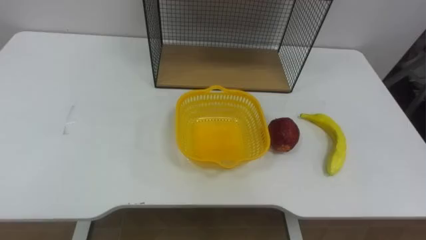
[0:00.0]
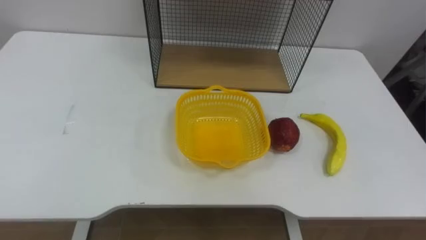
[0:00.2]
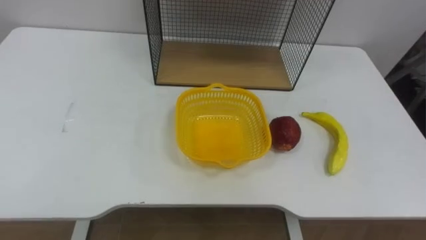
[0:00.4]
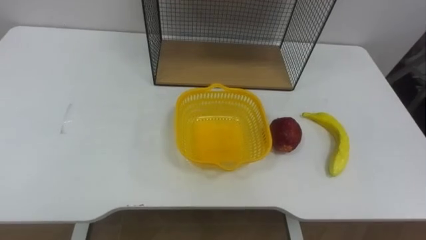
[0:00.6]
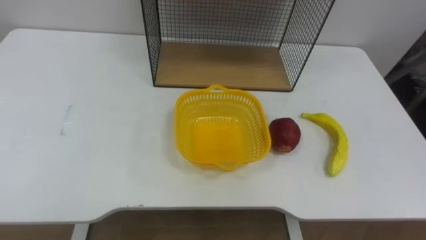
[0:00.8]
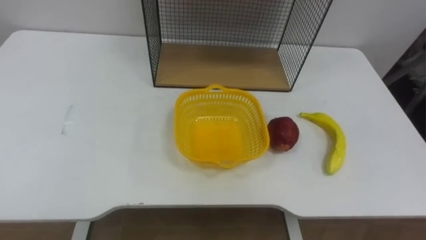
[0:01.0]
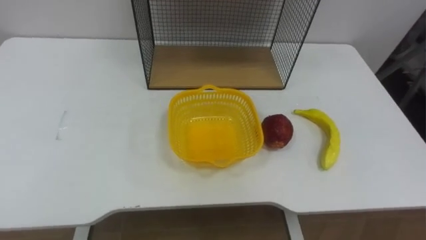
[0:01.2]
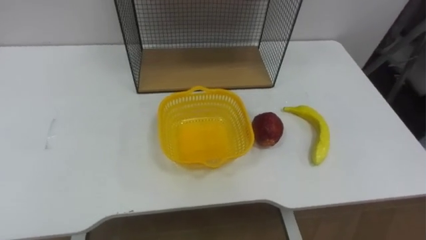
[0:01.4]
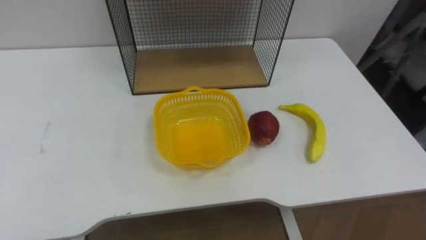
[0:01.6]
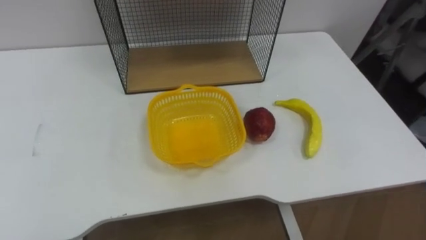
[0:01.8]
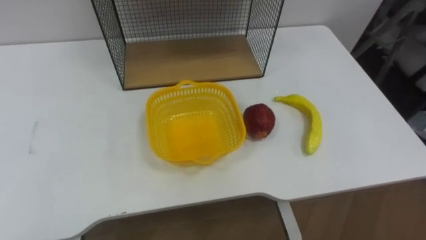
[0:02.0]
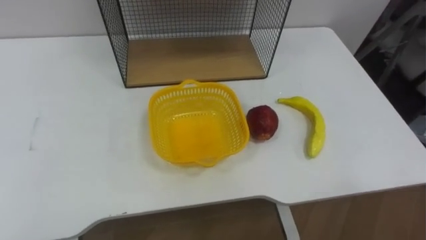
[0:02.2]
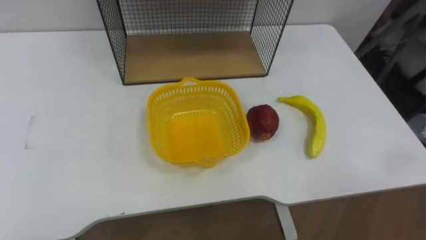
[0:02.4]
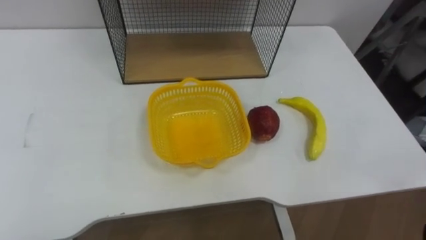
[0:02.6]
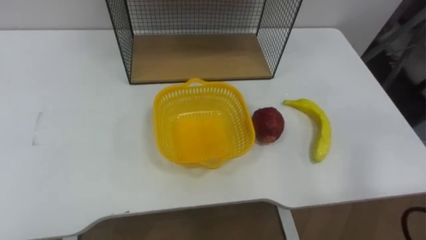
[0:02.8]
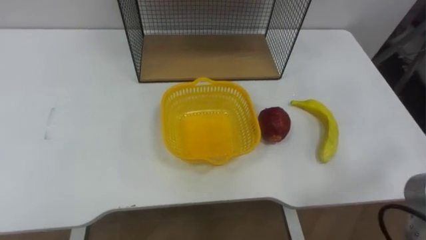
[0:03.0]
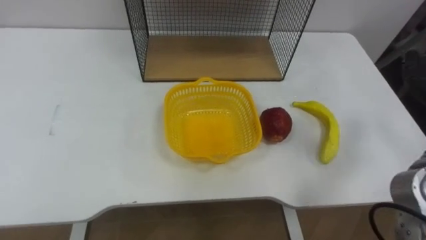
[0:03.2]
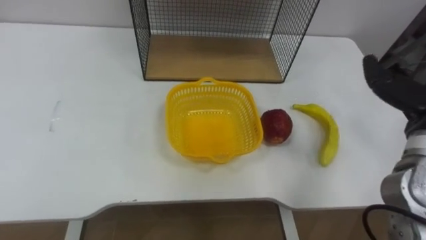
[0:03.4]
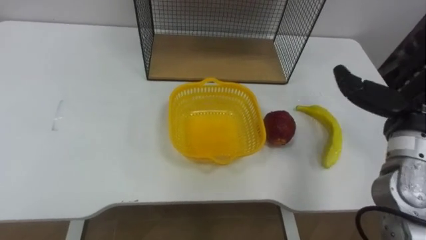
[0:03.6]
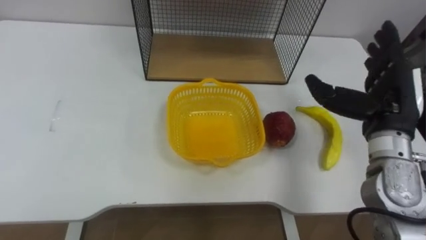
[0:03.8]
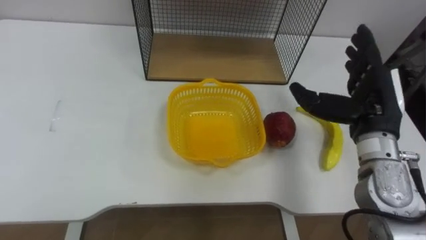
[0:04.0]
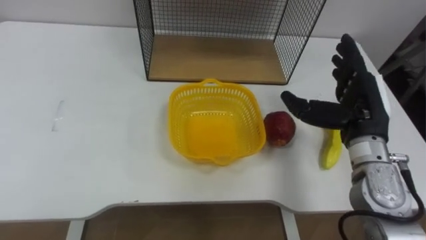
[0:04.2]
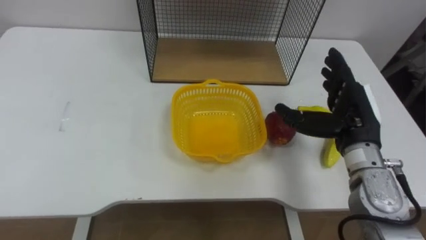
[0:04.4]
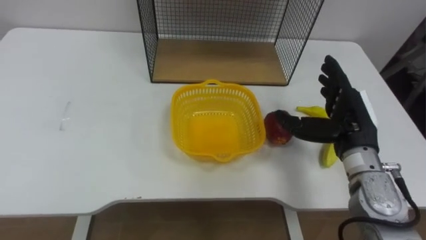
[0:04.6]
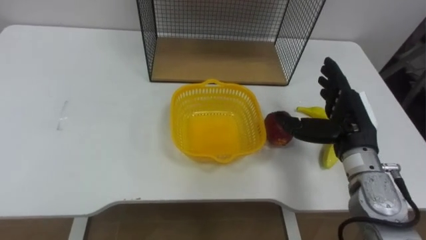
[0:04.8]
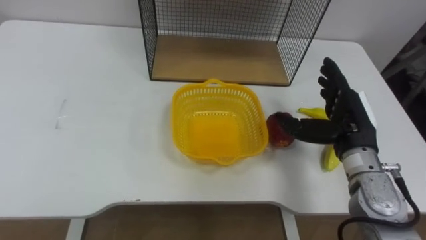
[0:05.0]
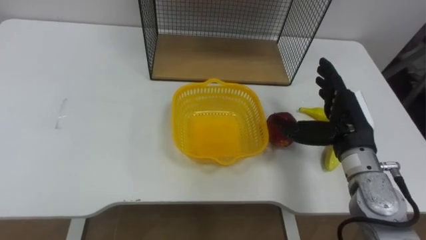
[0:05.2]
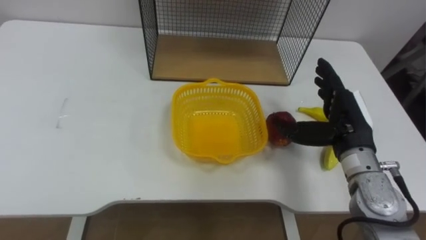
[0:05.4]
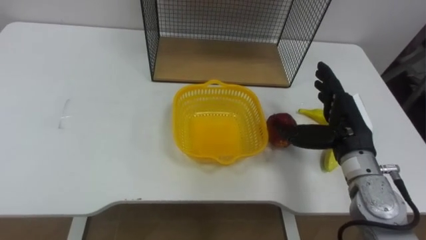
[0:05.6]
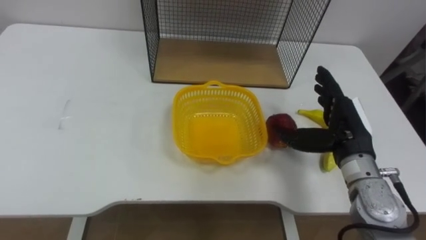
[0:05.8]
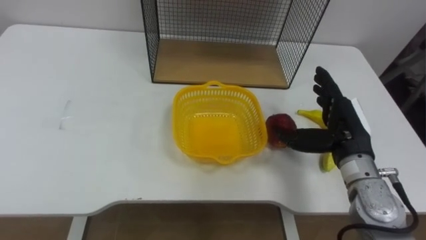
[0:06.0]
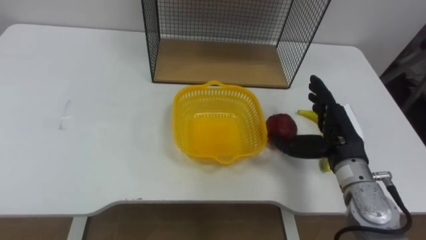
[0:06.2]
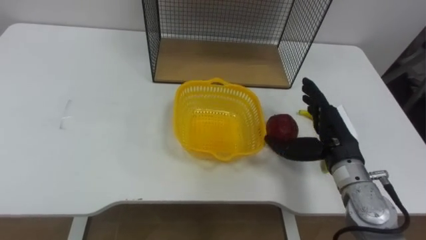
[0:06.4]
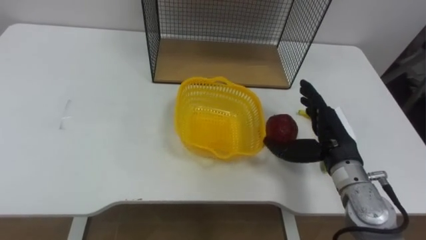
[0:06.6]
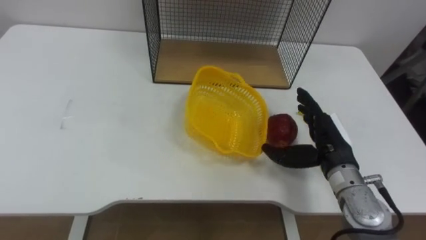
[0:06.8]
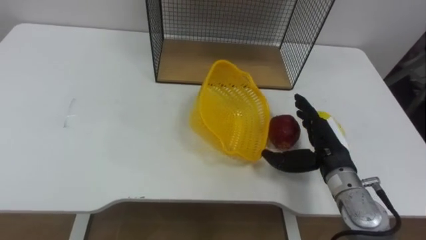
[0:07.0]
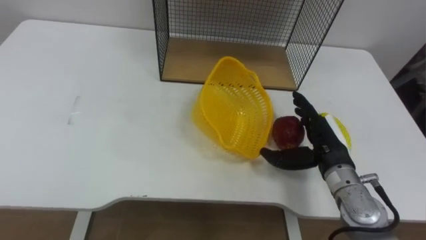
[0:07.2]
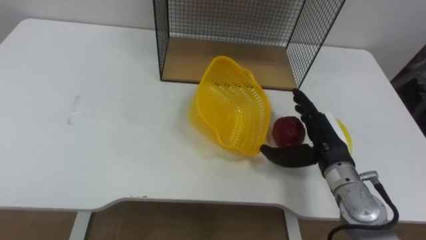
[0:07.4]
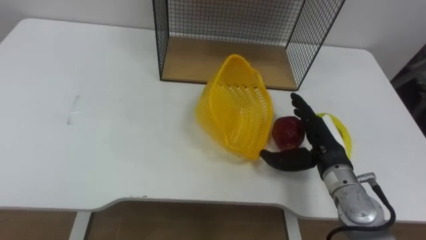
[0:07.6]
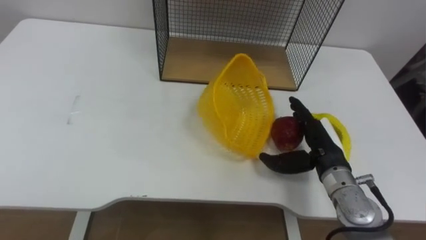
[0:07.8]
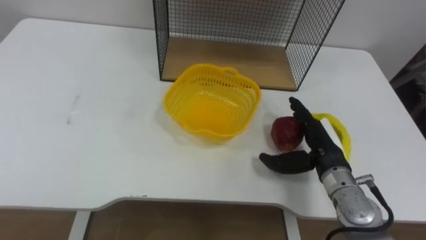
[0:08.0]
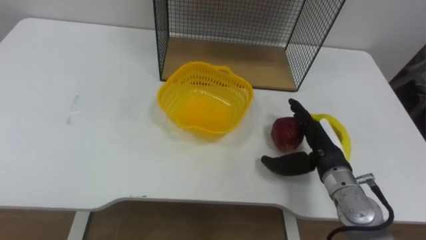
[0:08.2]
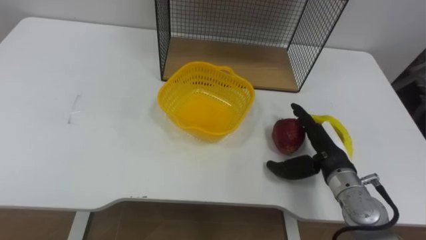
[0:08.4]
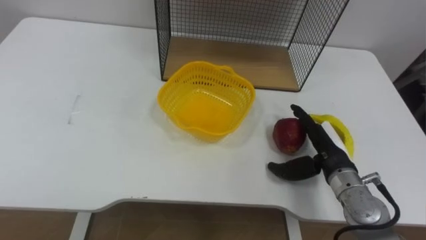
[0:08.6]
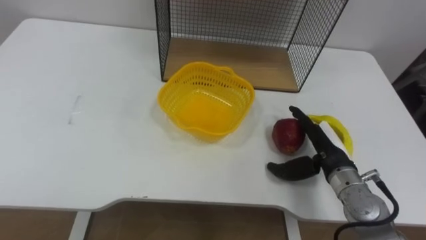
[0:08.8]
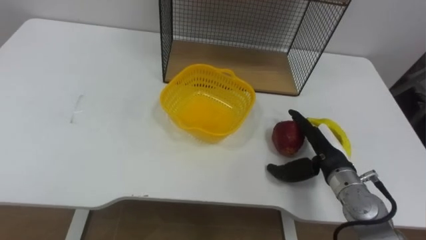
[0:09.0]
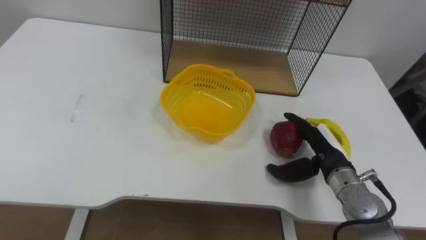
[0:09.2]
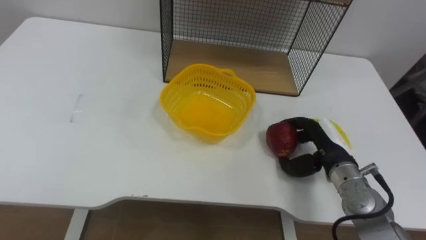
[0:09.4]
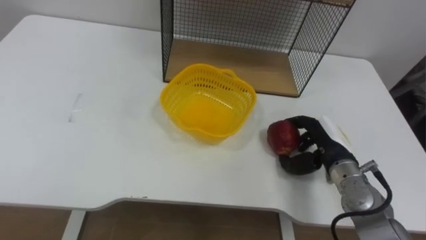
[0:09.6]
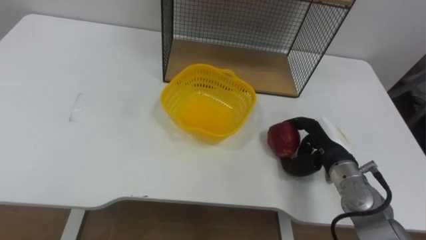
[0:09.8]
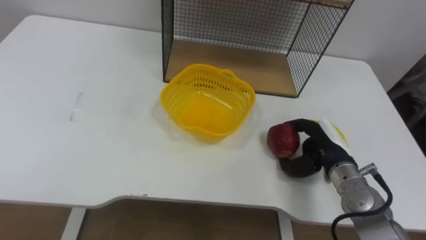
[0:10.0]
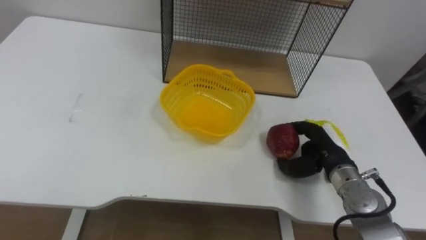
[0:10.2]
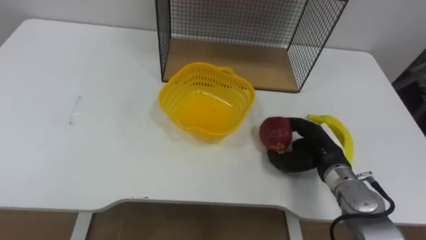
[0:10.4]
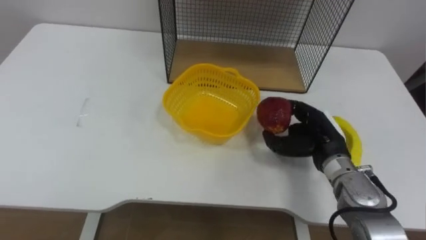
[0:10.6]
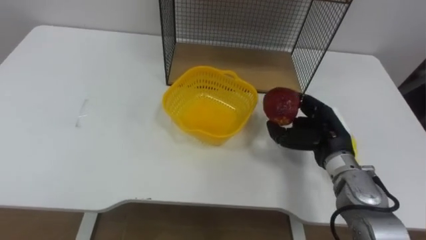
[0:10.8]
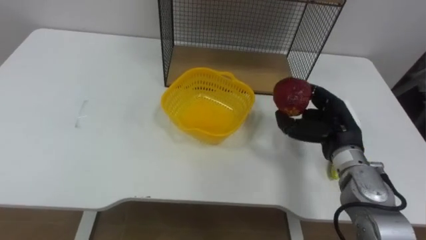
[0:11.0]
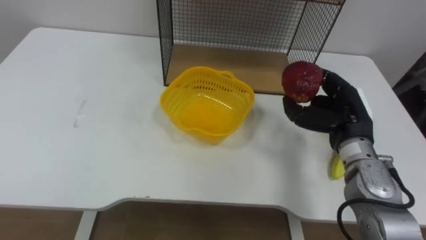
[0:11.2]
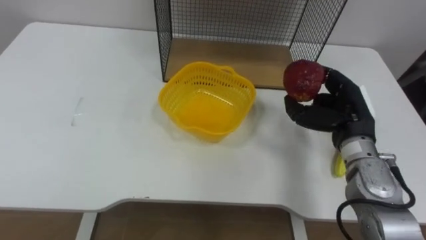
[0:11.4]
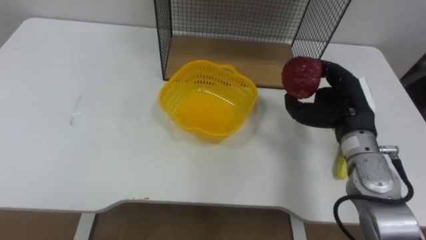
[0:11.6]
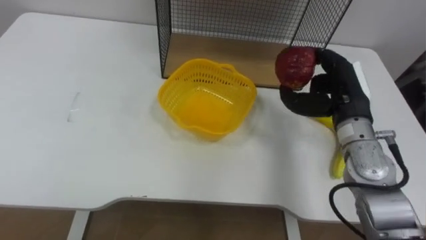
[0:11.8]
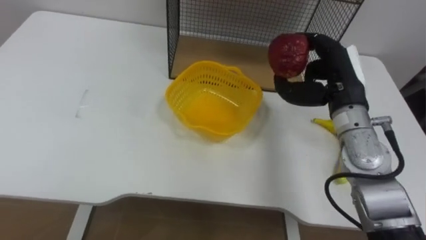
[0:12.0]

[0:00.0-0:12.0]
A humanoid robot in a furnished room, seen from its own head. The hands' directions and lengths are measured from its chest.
Task of the whole recording: Put the fruit on the table into the basket, then place the basket on the shelf.
0:09.0 to 0:10.4: The right hand closes its fingers.
0:10.4 to 0:12.0: The right hand goes approximately 15 cm upward.

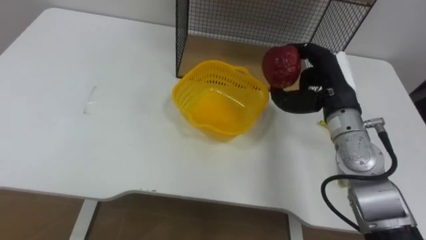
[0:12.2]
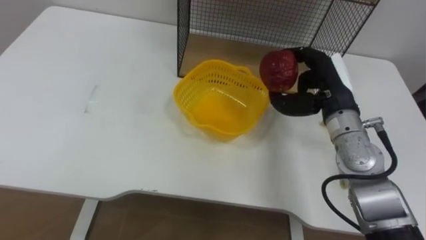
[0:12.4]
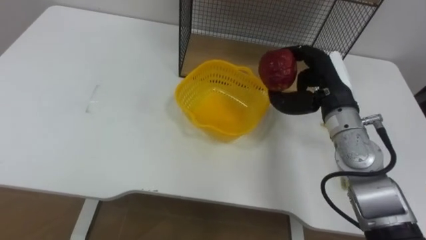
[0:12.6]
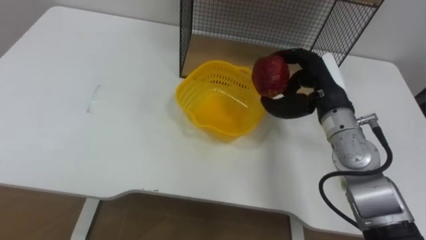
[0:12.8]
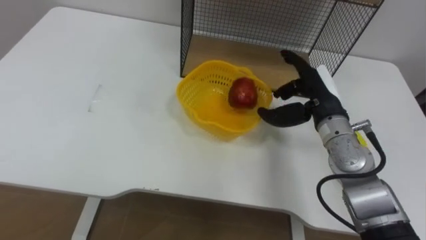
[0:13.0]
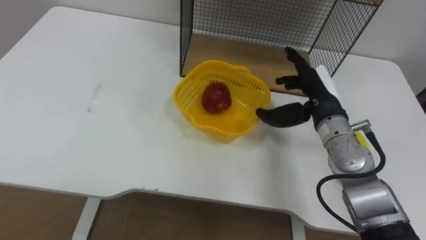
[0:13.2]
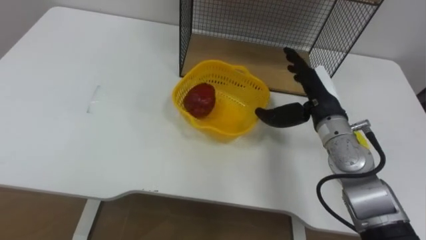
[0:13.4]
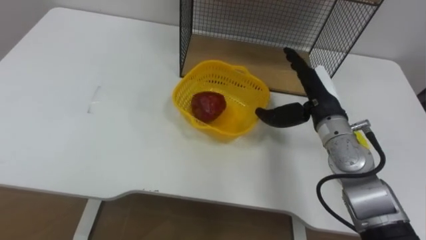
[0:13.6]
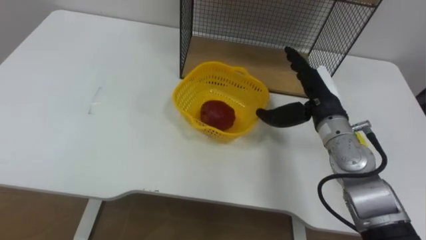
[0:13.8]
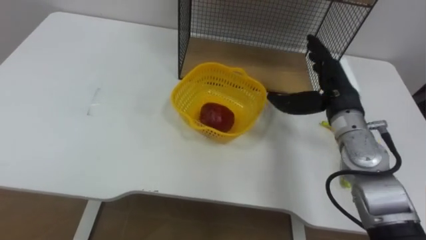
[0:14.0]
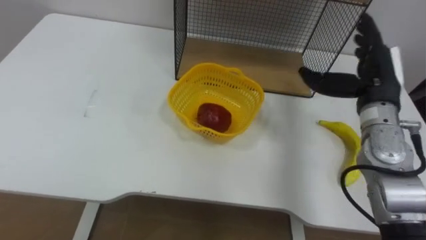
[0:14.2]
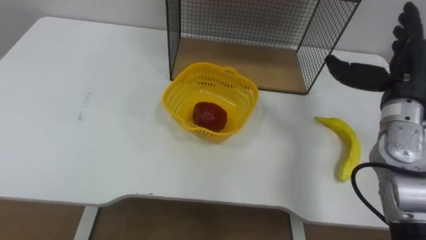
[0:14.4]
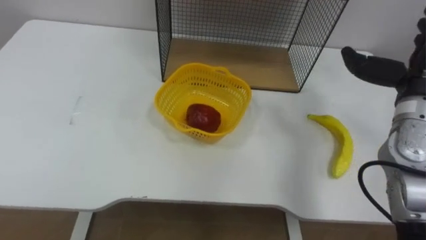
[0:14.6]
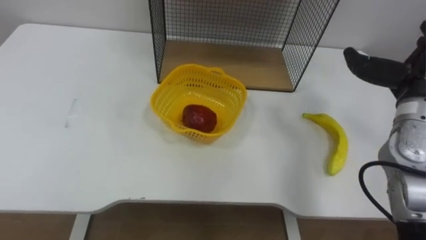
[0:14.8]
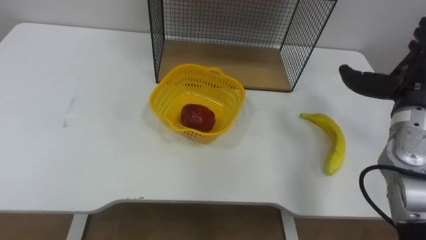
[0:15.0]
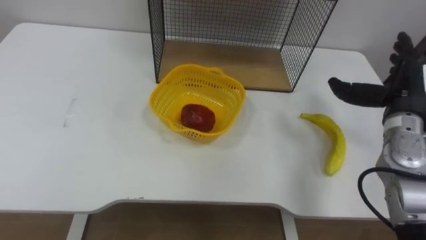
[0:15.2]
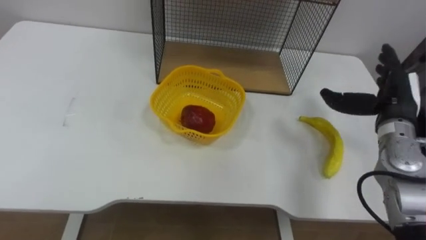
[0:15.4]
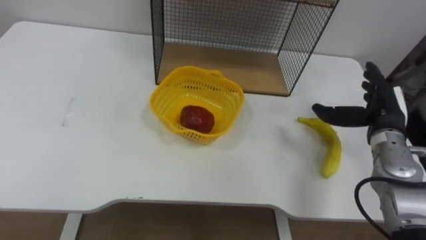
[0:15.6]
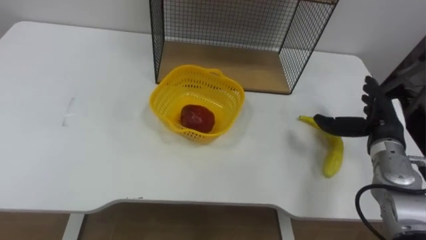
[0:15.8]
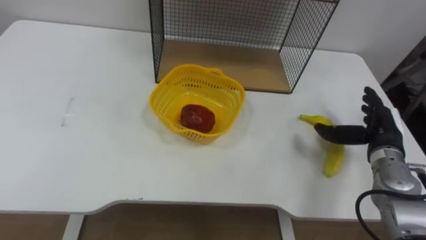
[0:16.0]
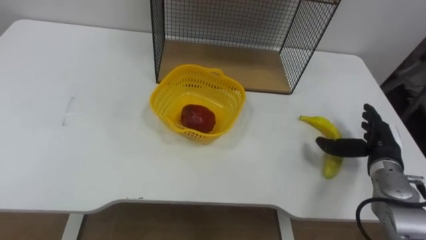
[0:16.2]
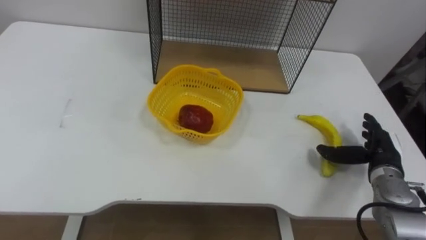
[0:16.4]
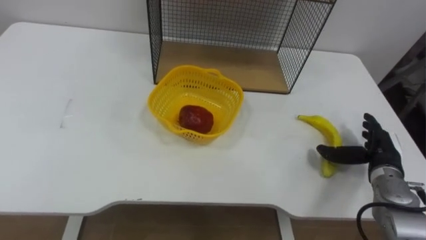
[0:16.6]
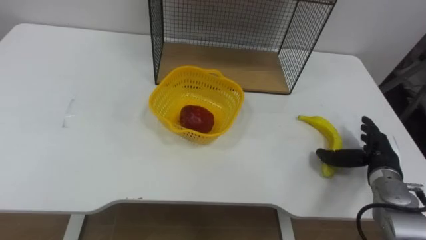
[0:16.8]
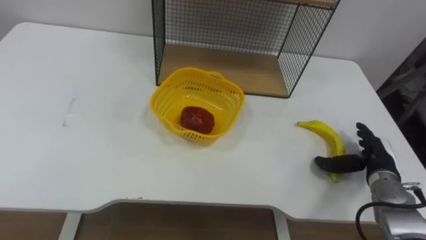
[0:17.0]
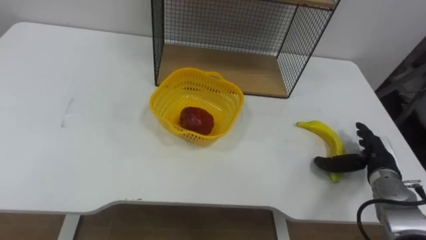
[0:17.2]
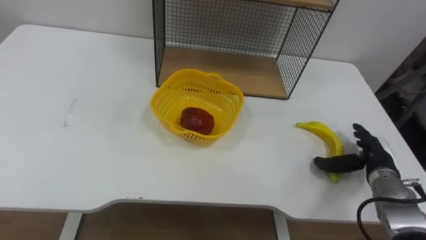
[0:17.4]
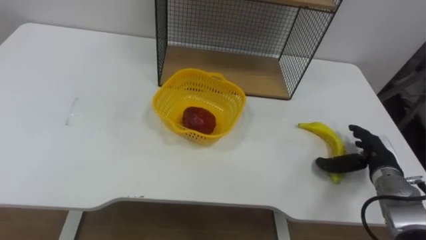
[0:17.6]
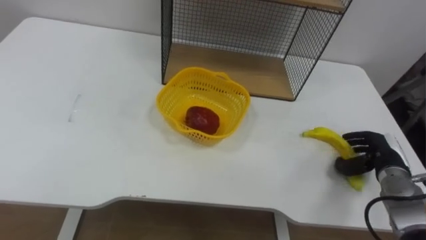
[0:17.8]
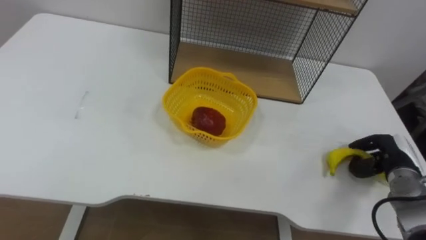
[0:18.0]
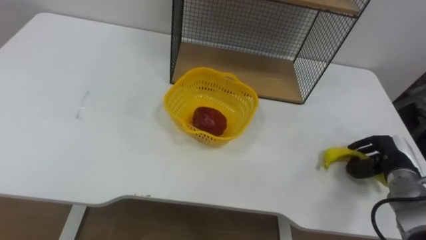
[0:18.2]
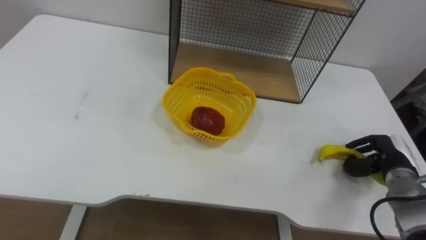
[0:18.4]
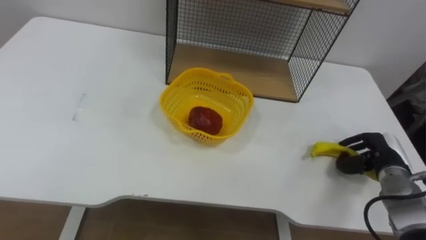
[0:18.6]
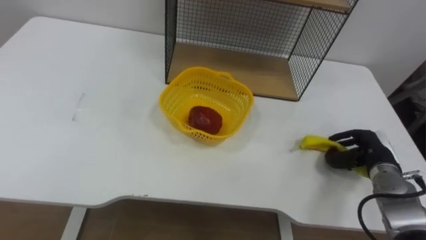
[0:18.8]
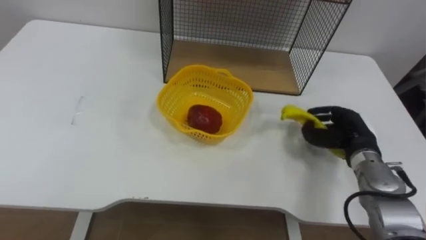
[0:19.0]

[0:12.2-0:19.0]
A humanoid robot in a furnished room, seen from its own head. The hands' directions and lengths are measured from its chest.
Task of the whole recording: Put the fruit on the table into the basket, then place the basket on the shelf.
0:12.2 to 0:13.6: The right hand opens its fingers.
0:15.0 to 0:16.2: The right hand moves downward, about 15 cm.
0:17.6 to 0:19.0: The right hand changes place by about 5 cm, and closes up.
